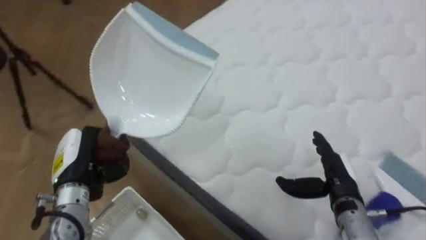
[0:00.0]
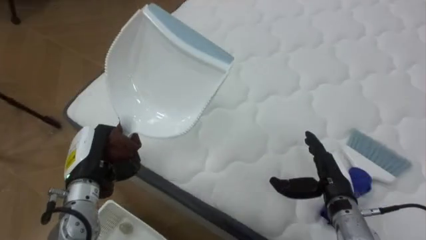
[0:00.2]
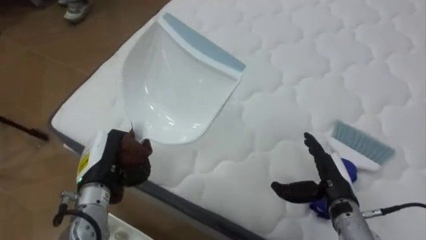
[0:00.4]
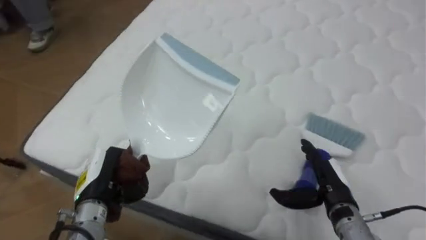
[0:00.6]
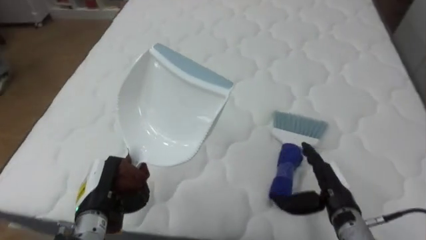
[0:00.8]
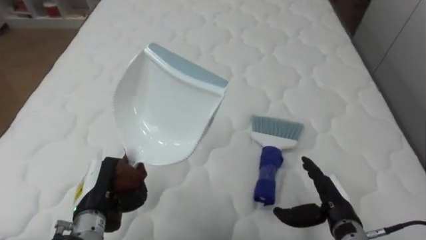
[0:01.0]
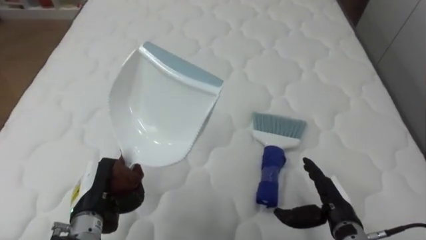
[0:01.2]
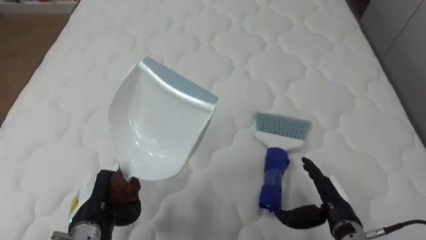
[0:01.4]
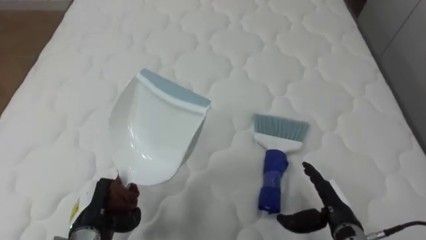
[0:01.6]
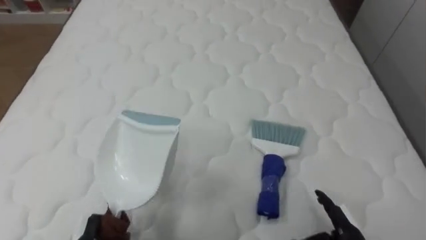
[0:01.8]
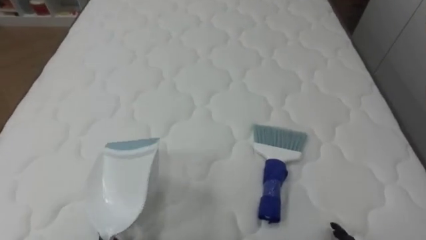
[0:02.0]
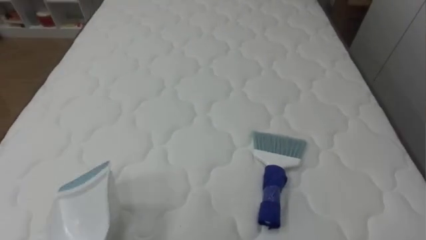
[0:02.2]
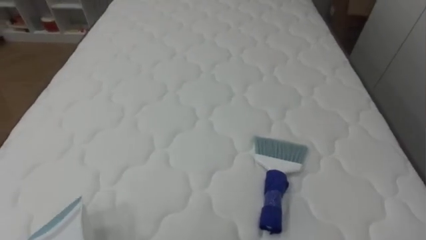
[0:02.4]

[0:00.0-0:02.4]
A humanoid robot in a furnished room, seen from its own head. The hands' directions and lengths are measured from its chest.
Task of the whole recording: Pick up the brush on your right and the dustpan on your left. Use the brush to sweep the crumpled paper on the bed into the dustpan, then turn left and empty it into the basket.
0:00.0 to 0:01.2: The robot's body swings about 35 degrees to its right. The left hand shifts by approximately 5 cm.

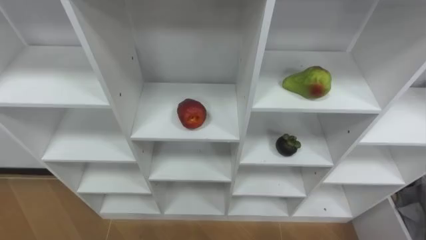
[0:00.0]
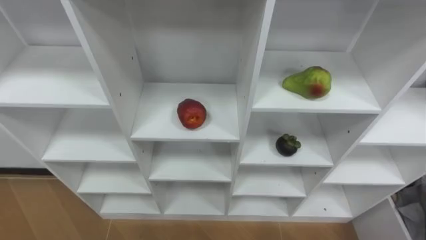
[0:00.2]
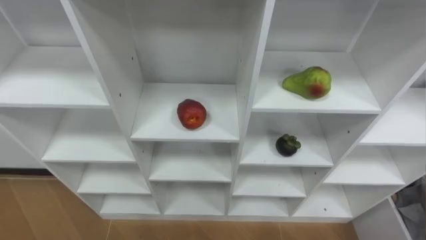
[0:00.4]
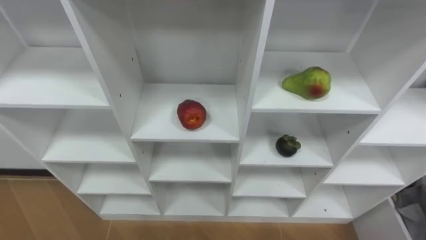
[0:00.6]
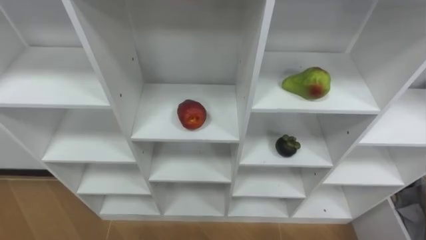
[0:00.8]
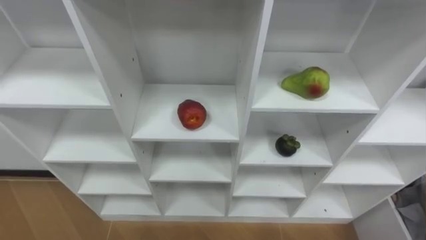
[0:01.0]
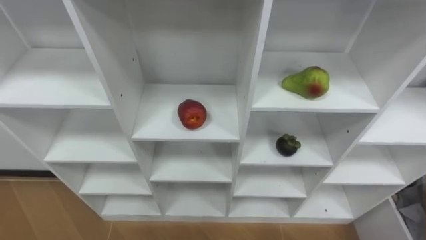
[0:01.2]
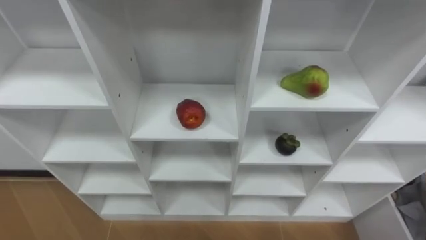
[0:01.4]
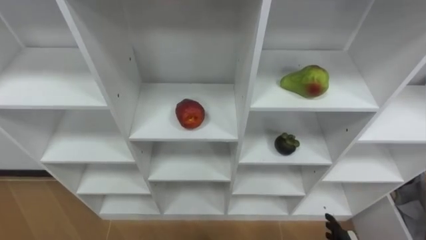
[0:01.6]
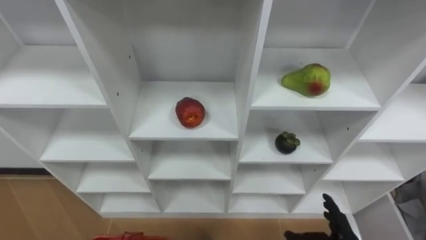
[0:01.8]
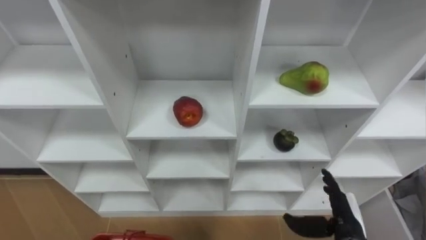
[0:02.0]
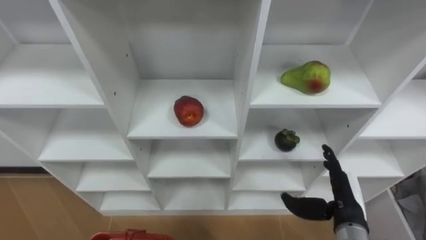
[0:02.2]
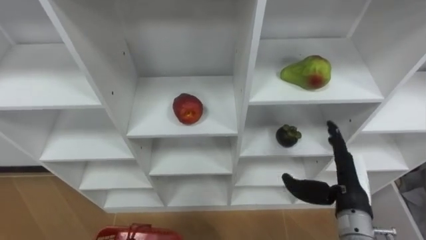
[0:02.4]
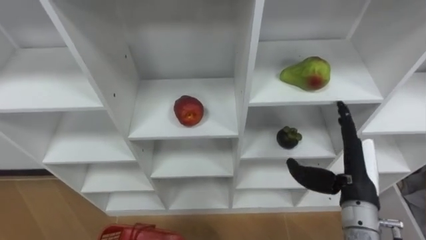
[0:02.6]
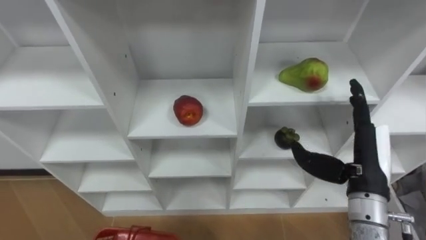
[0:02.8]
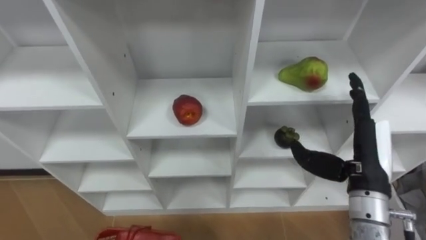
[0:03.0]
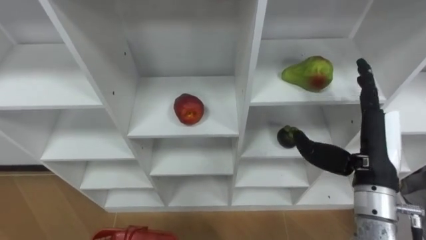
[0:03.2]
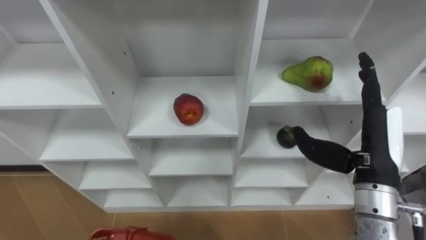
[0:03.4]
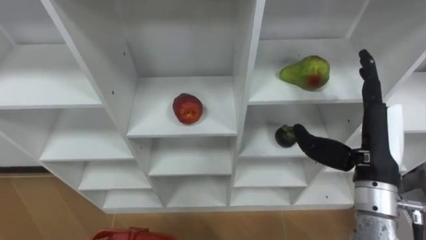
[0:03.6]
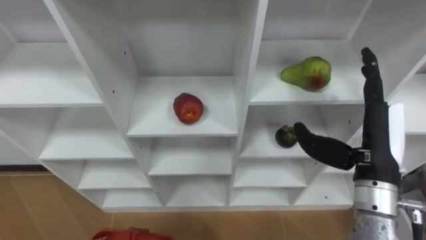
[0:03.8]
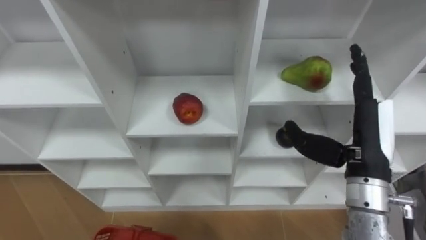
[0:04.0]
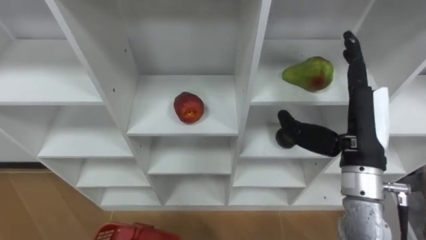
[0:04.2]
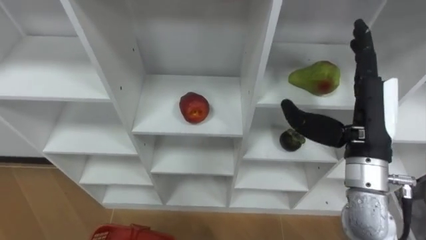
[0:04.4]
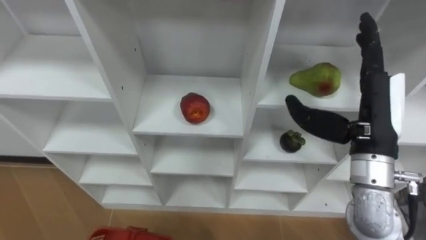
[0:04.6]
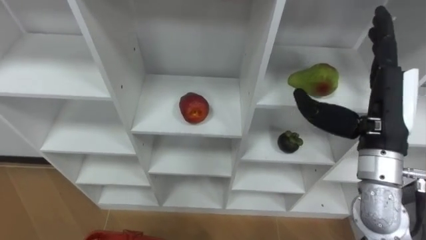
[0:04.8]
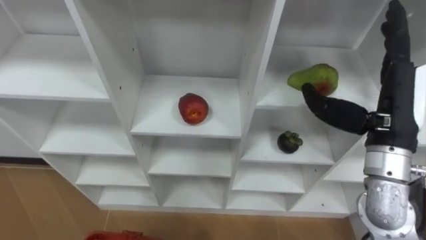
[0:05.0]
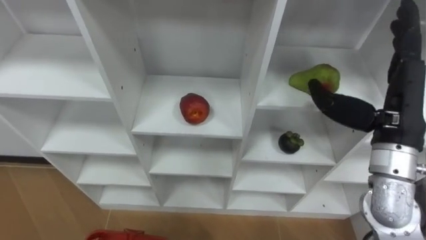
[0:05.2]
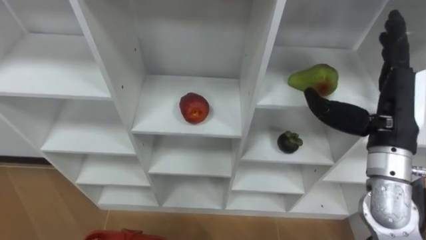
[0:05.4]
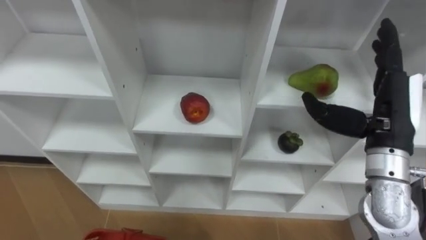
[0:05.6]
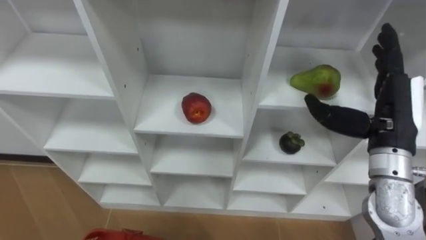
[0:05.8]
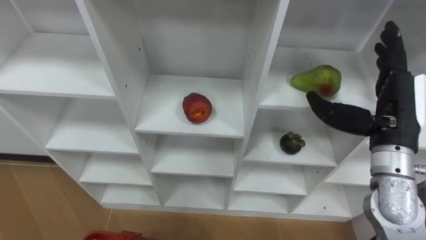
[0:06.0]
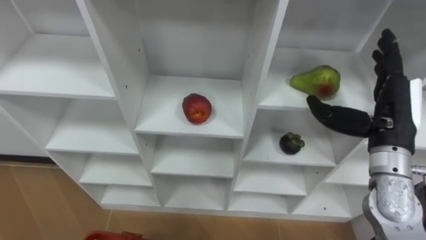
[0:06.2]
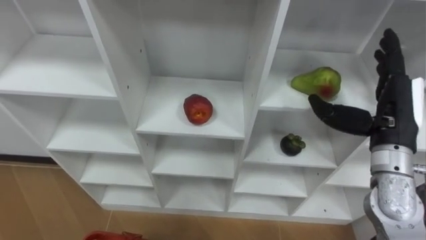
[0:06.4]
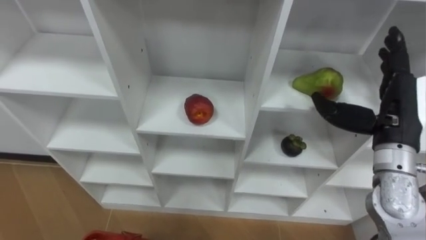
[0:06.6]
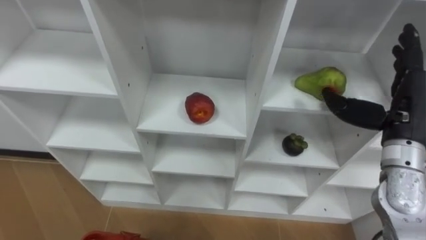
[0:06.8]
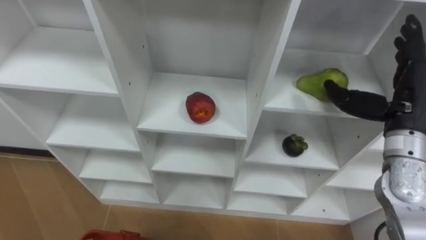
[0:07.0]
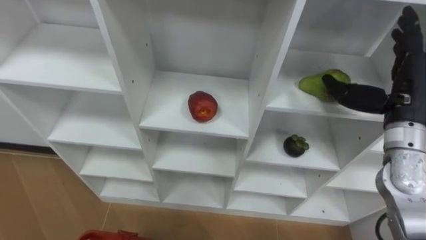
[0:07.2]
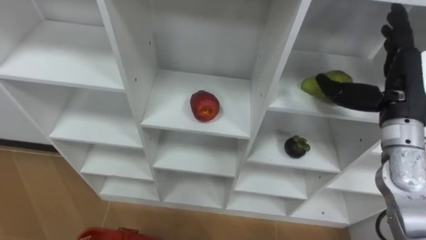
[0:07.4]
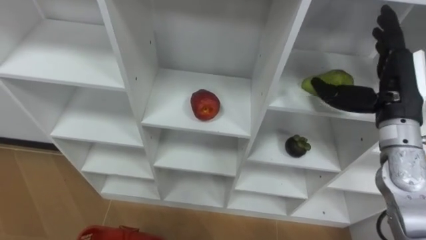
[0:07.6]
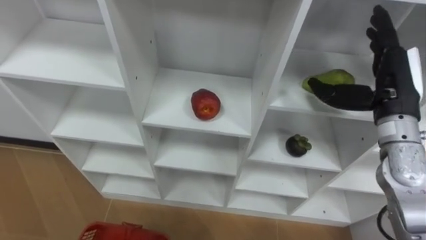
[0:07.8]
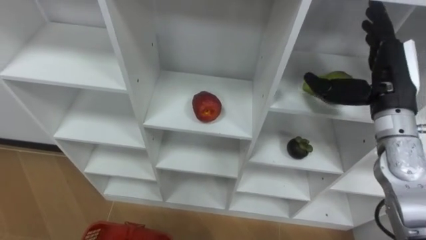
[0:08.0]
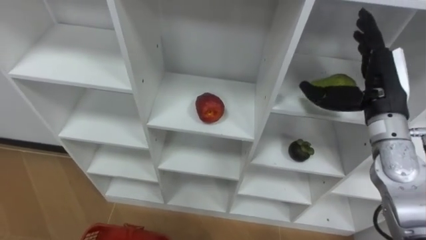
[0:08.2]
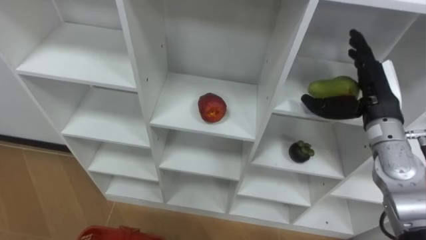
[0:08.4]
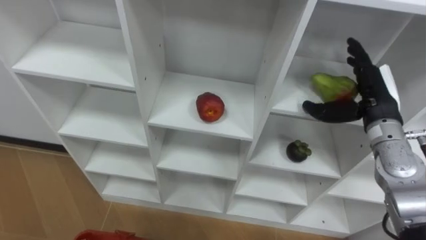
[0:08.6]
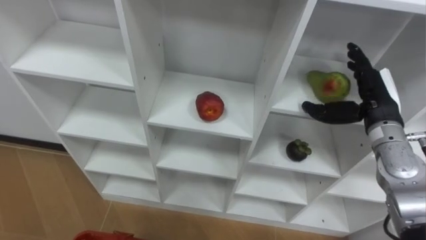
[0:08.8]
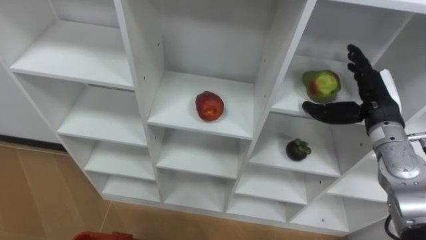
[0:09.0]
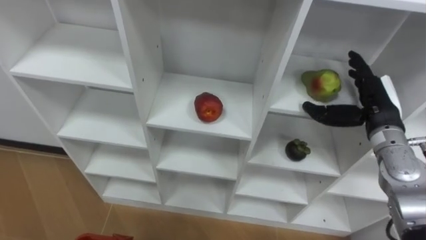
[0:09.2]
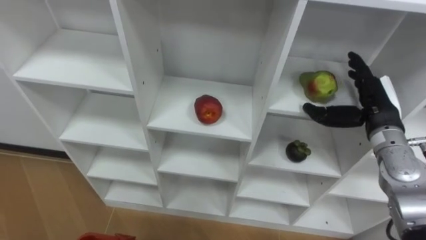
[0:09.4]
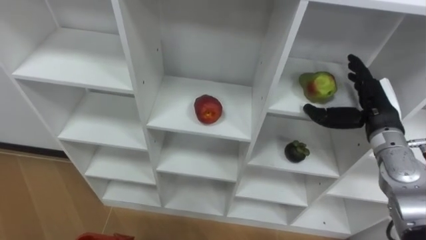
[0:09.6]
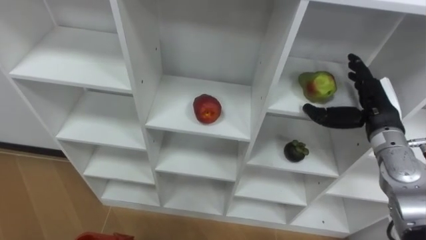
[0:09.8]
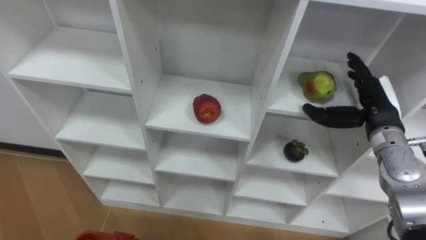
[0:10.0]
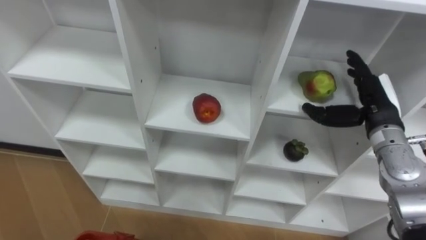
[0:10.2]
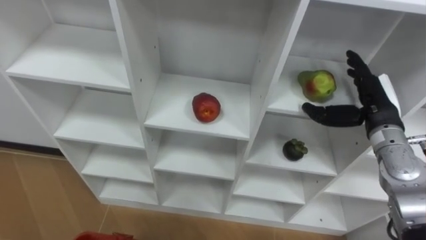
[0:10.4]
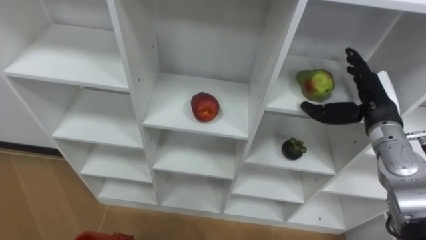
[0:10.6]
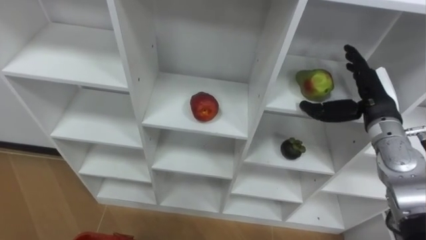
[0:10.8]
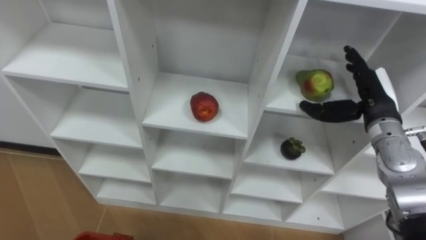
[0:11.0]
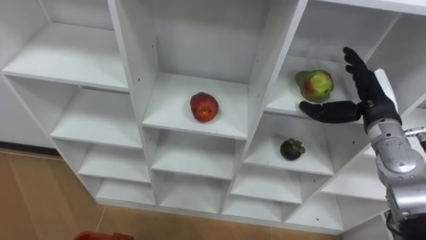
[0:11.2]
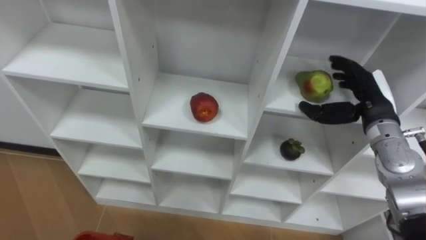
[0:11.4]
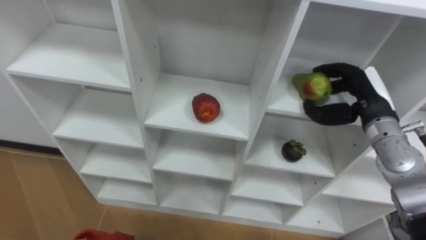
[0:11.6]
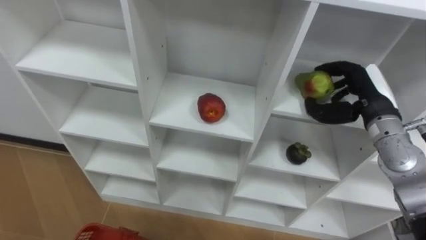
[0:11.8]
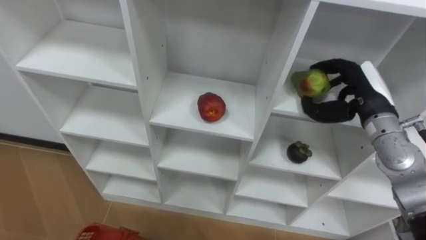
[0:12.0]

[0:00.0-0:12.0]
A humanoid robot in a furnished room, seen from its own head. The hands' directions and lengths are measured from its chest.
Task of the whole recording: Hold the basket and collect the fruits from 3 different cells of the closet into it.
0:03.0 to 0:04.4: The right hand goes roughly 5 cm upward.
0:04.4 to 0:06.0: The right hand ends up approximately 5 cm from where it was.
0:07.6 to 0:09.0: The right hand is displaced downward by some 5 cm.
0:10.4 to 0:12.0: The right hand closes.

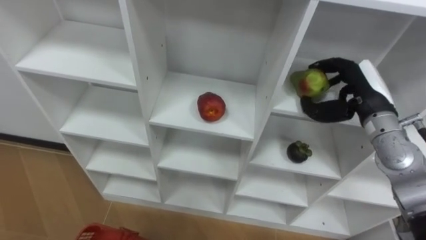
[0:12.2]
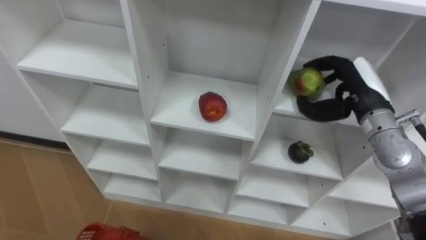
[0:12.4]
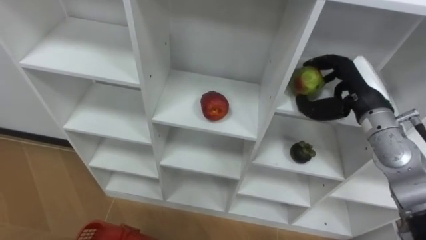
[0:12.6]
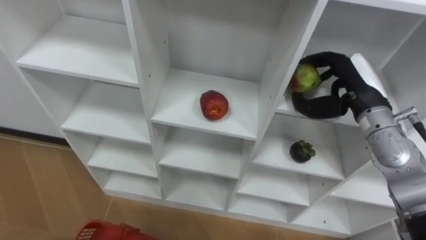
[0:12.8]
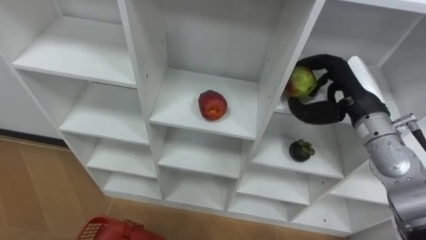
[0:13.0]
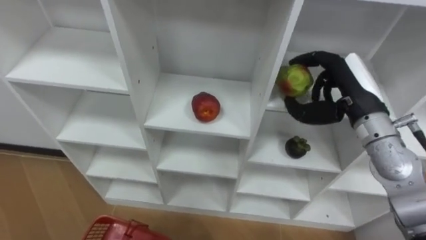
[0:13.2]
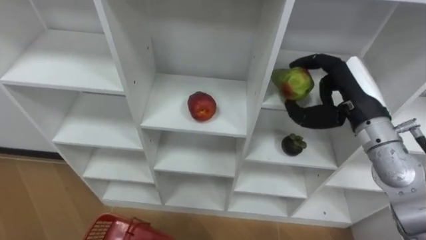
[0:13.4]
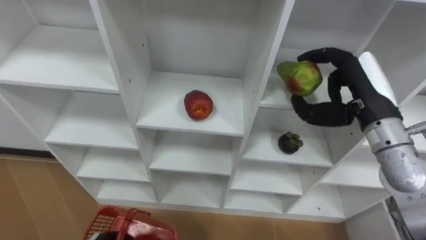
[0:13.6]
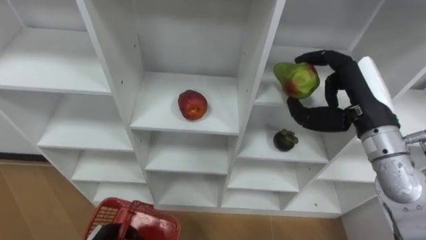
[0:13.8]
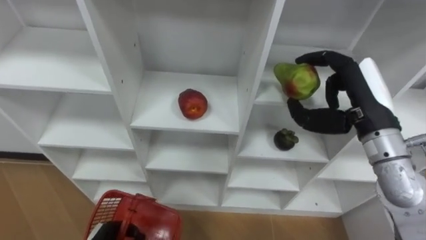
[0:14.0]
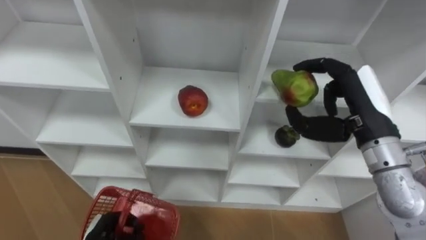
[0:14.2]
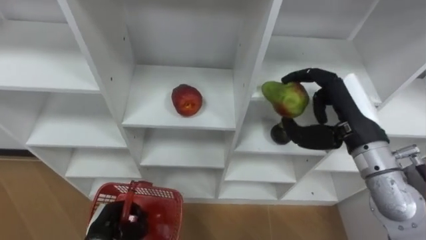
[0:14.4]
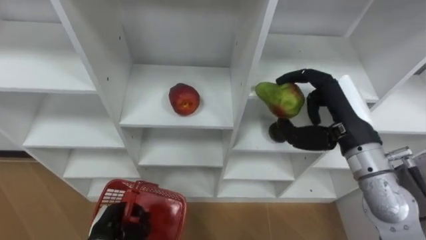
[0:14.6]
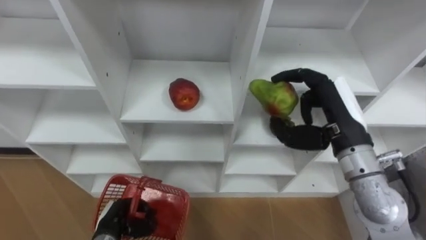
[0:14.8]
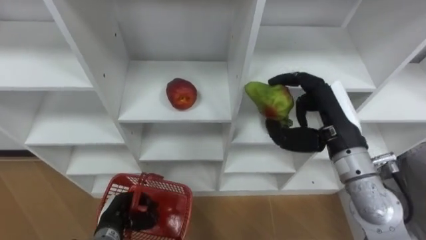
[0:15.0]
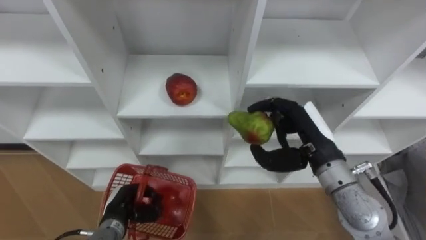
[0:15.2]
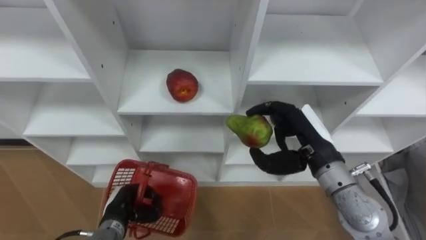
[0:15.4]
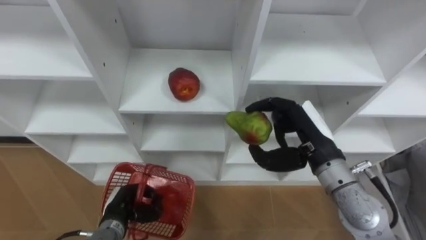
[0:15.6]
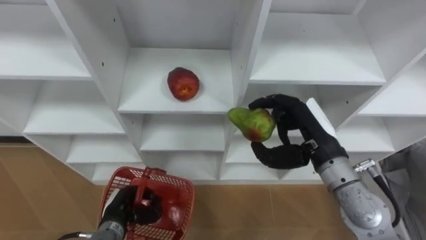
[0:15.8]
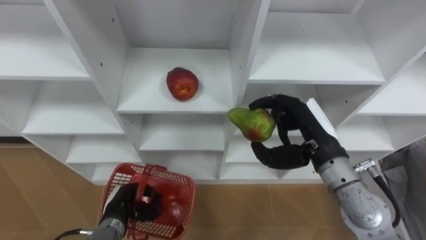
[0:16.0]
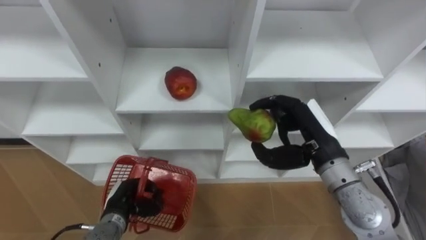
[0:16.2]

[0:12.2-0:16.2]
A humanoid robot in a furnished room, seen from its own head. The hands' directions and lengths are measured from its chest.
Task of the whole recording: Hold the basket and collect the fruits from 3 different cells of the closet into it.
0:12.2 to 0:13.6: The right hand ends up roughly 5 cm from where it was.
0:13.6 to 0:14.8: The right hand changes place by approximately 5 cm.
0:14.8 to 0:16.2: The right hand moves approximately 5 cm.
